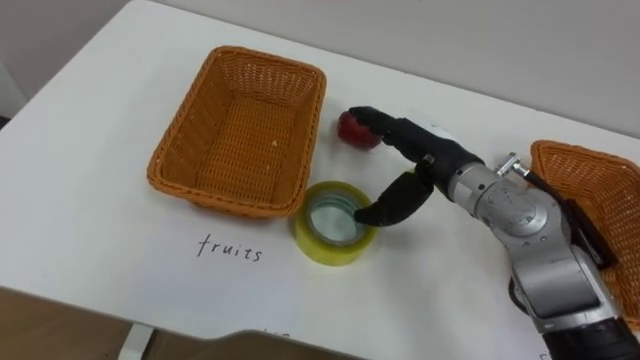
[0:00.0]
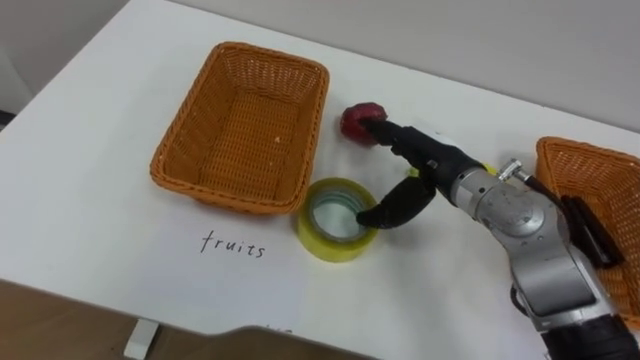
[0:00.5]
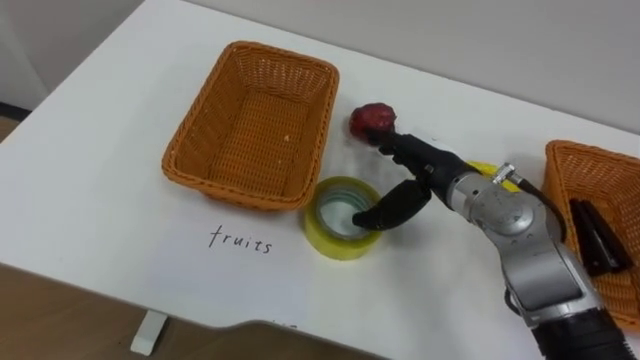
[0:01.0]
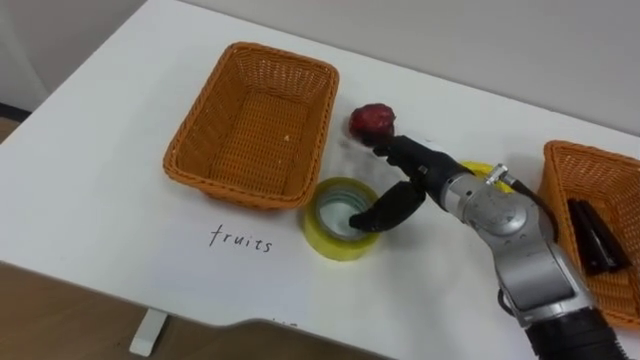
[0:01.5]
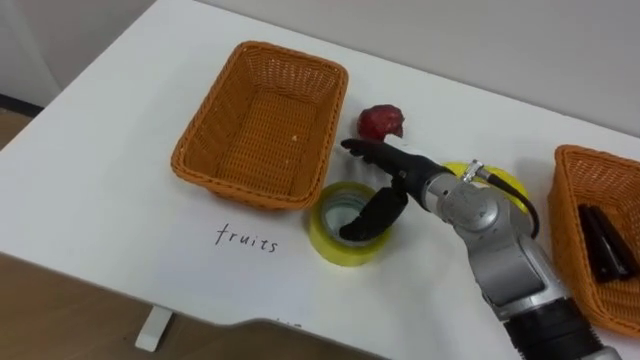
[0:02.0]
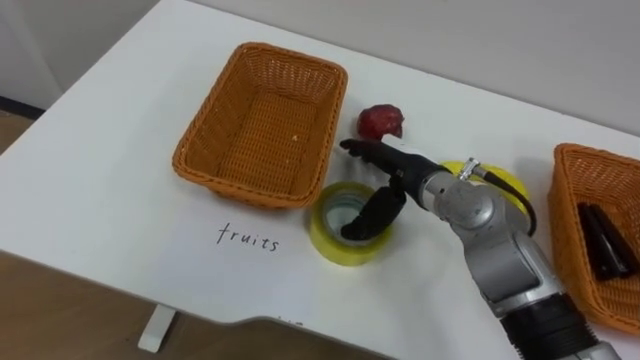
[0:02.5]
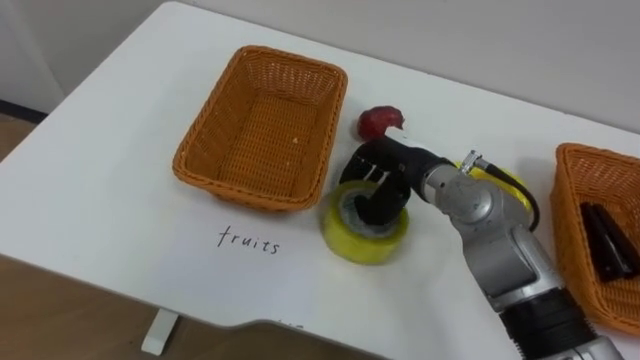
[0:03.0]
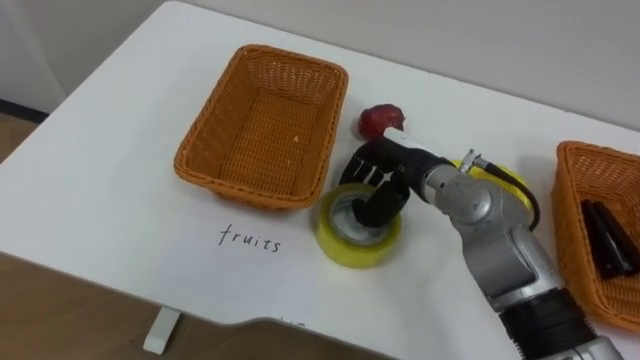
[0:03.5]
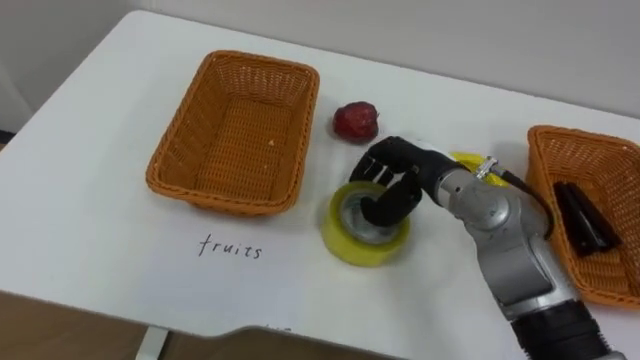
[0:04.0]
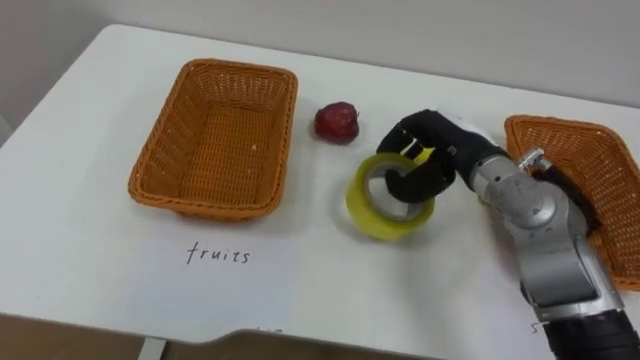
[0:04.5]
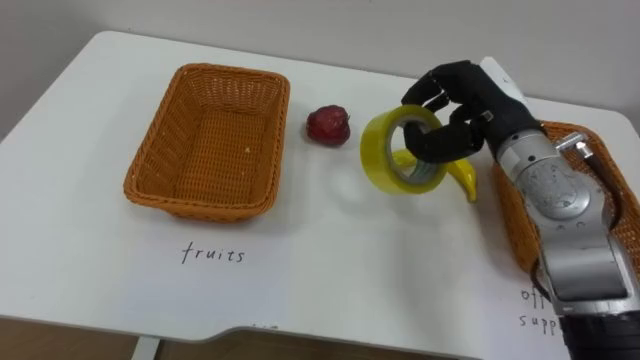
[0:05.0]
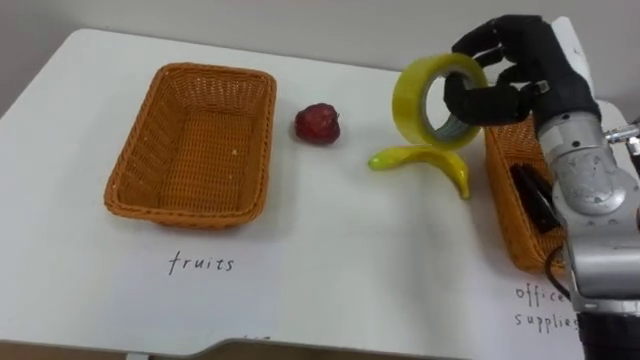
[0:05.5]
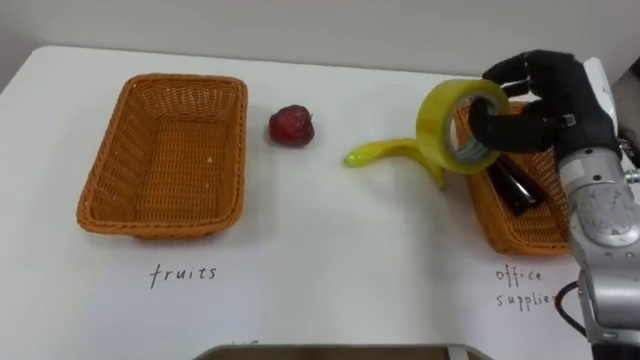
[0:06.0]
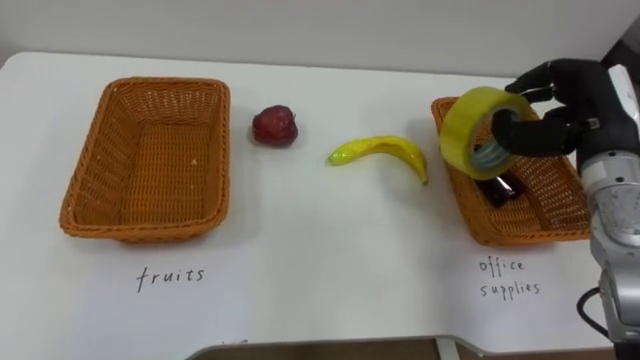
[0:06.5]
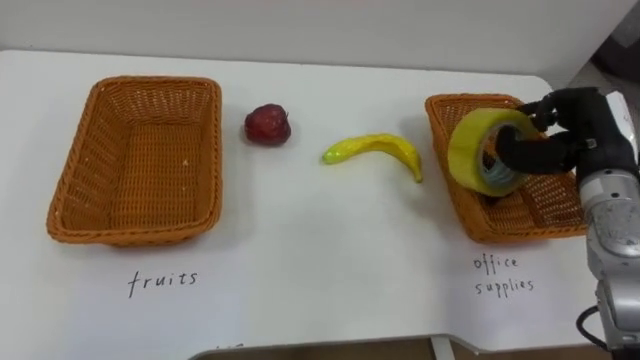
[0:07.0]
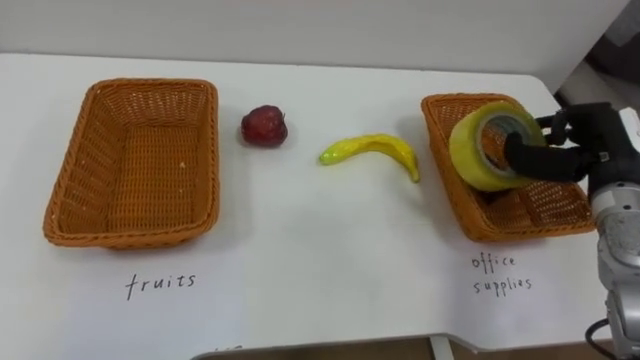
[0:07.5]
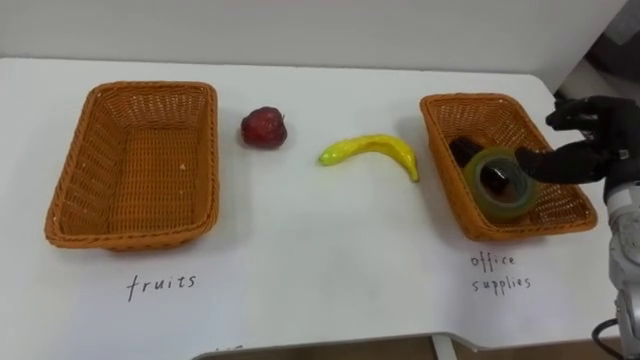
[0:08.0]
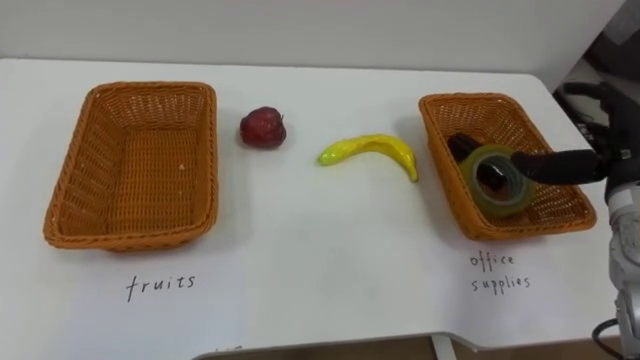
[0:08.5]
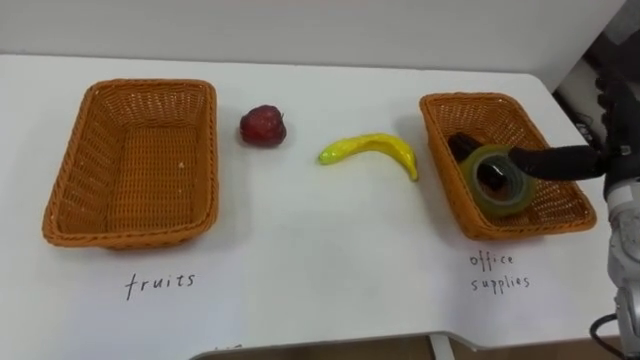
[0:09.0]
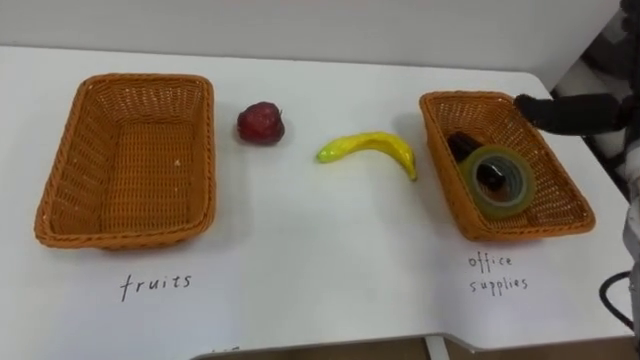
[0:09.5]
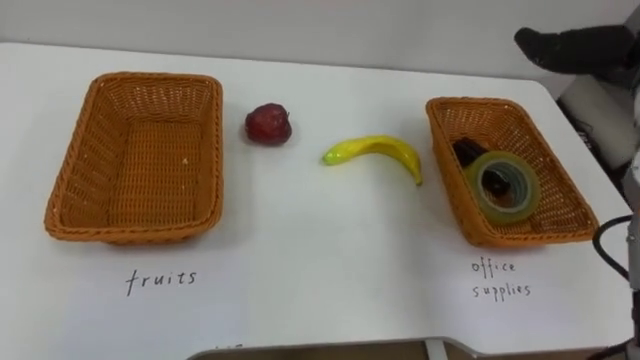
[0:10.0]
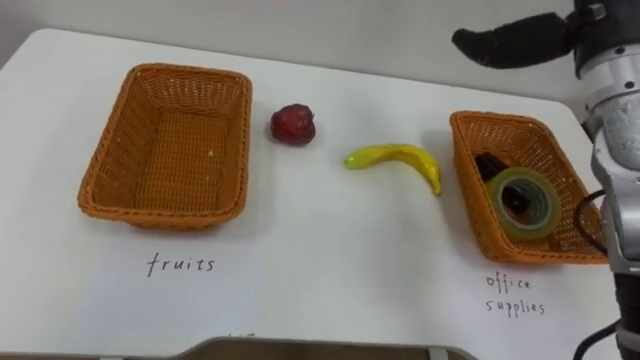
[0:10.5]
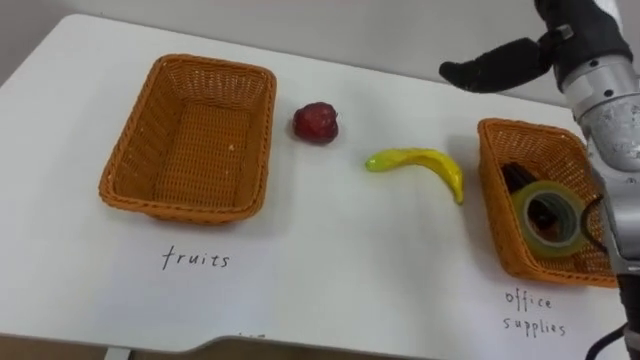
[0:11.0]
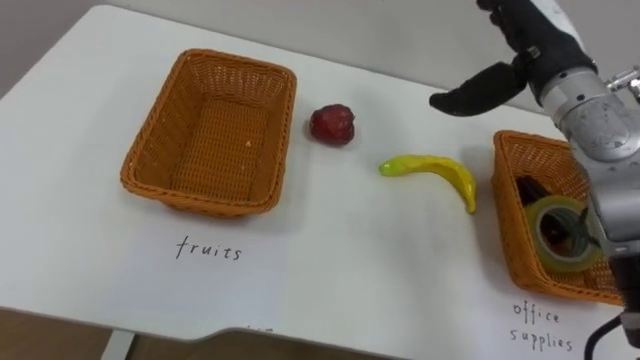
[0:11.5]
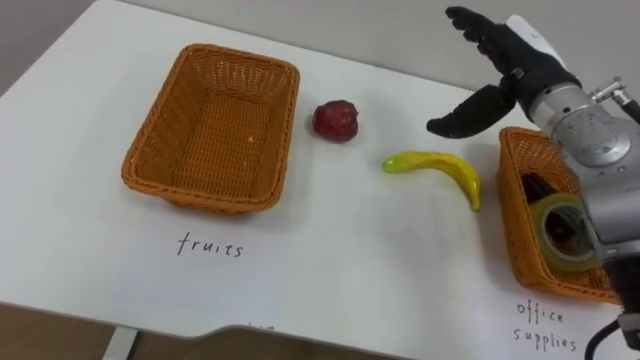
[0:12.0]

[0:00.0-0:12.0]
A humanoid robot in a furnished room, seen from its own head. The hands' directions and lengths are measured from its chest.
Task of the whole recording: Separate the items on the table and place them into the two baskets.
0:02.0 to 0:04.0: The right hand closes up.
0:04.0 to 0:06.0: The right hand shifts approximately 15 cm to the right and upward.
0:06.0 to 0:08.0: The right hand shifts about 5 cm to the right.

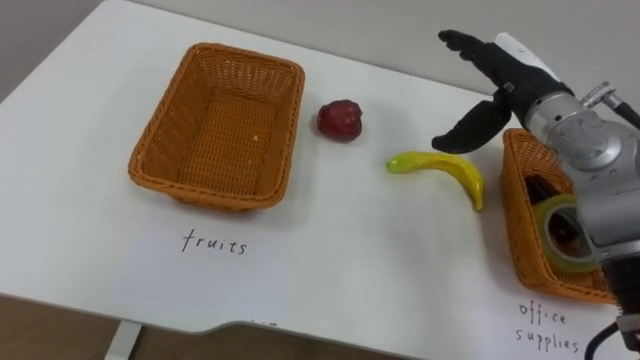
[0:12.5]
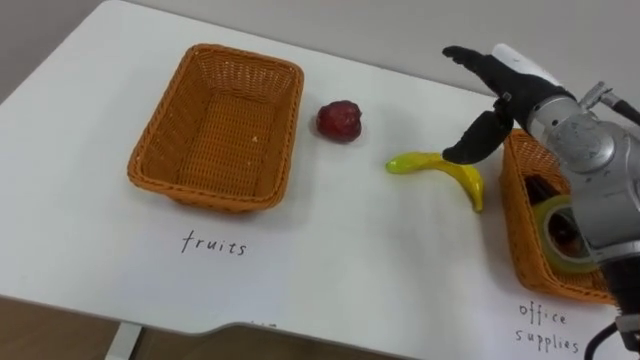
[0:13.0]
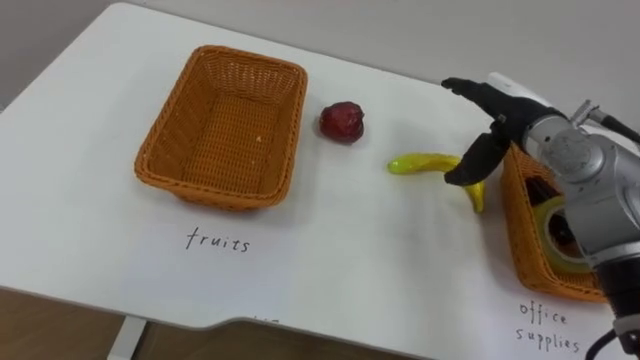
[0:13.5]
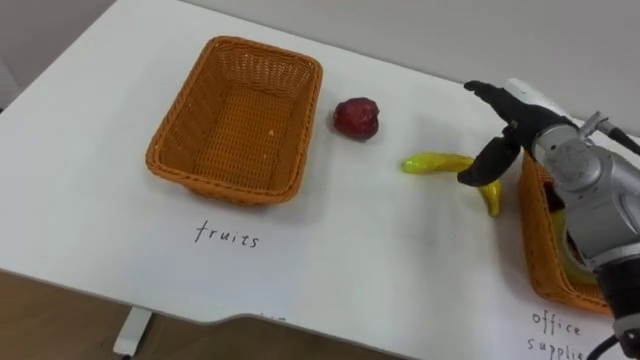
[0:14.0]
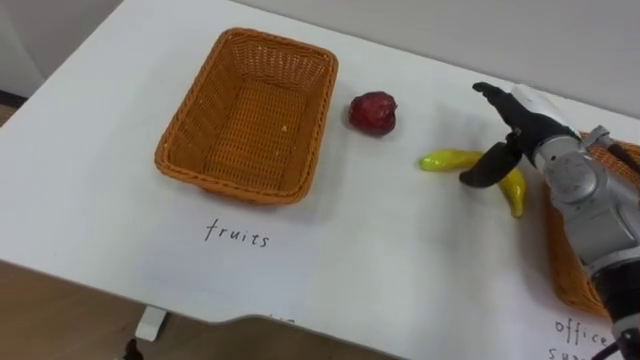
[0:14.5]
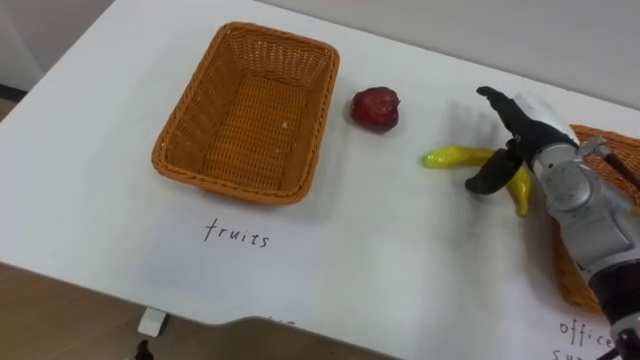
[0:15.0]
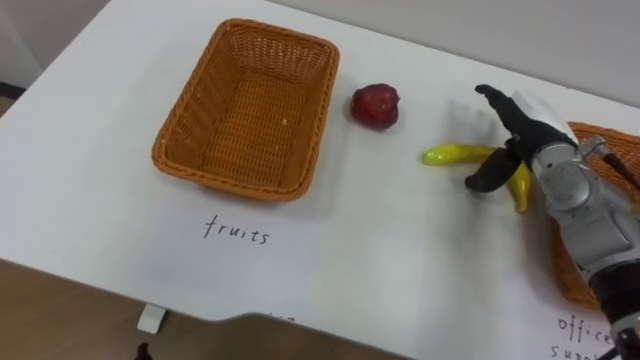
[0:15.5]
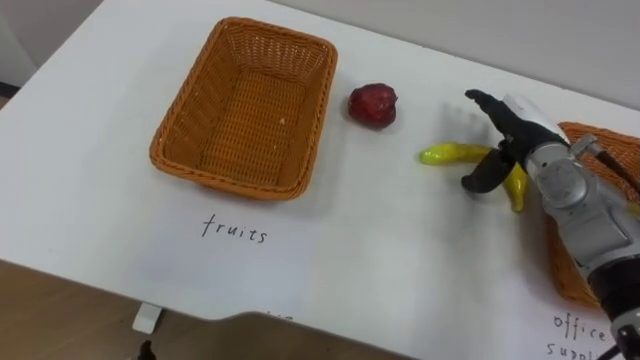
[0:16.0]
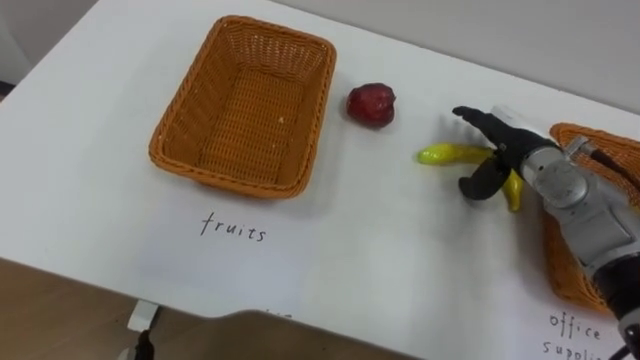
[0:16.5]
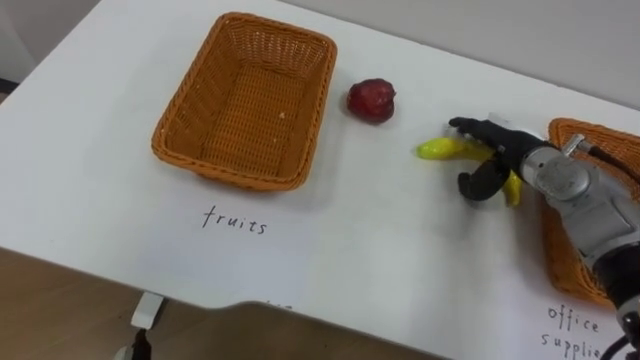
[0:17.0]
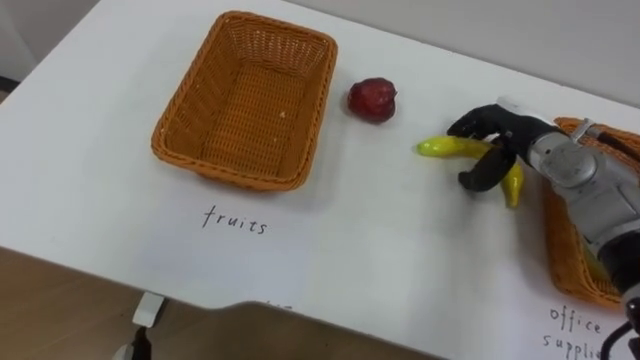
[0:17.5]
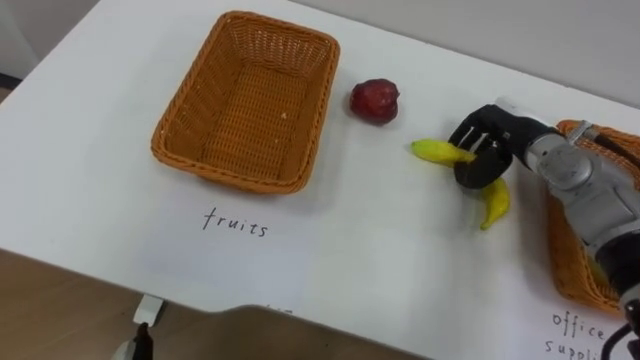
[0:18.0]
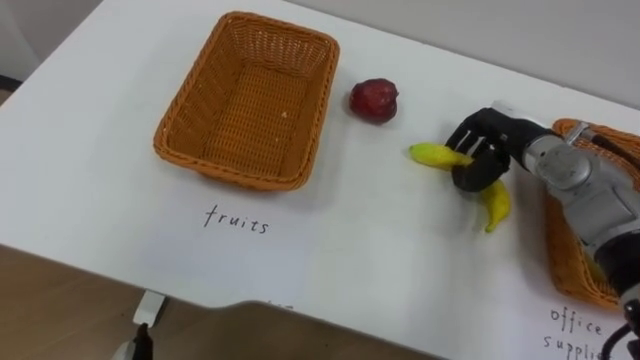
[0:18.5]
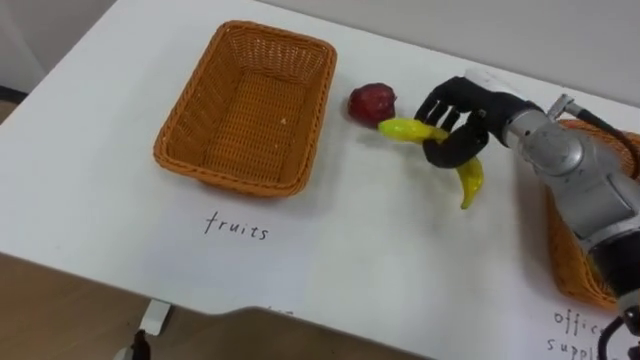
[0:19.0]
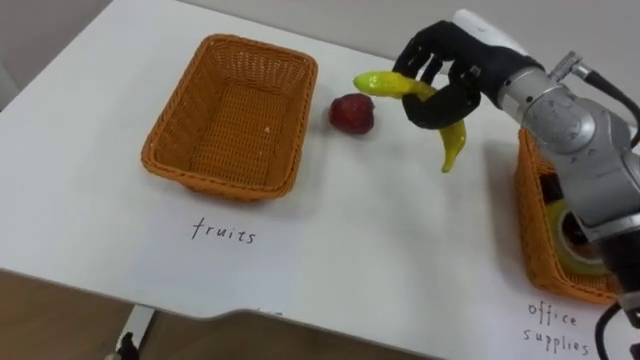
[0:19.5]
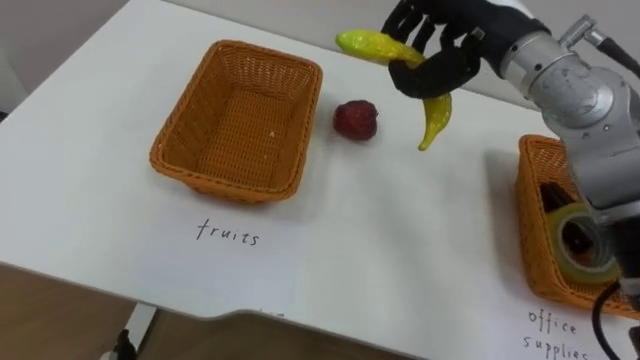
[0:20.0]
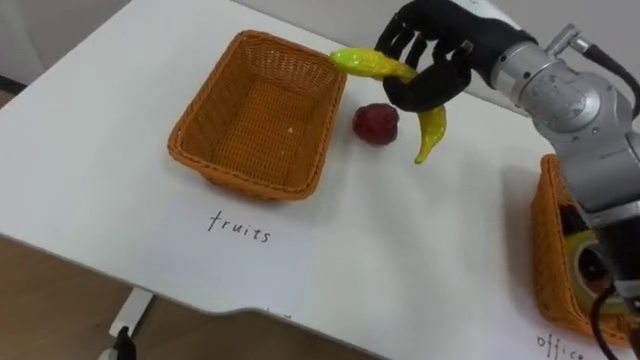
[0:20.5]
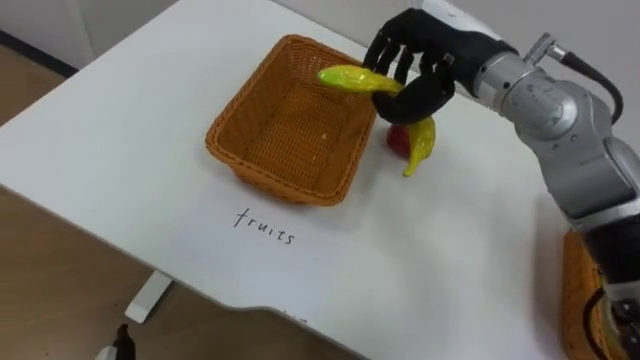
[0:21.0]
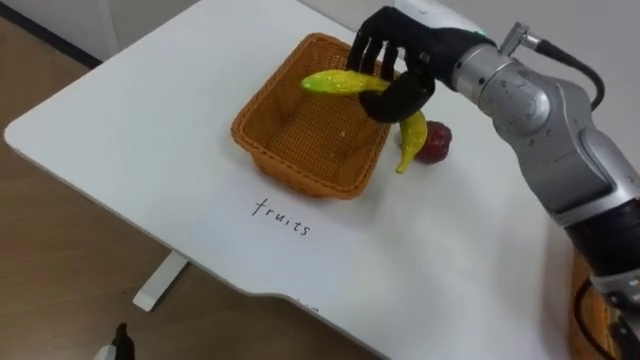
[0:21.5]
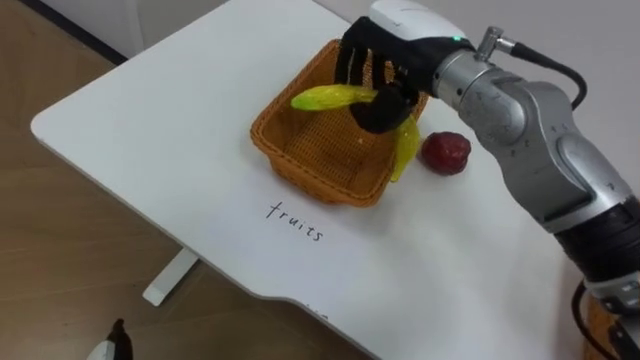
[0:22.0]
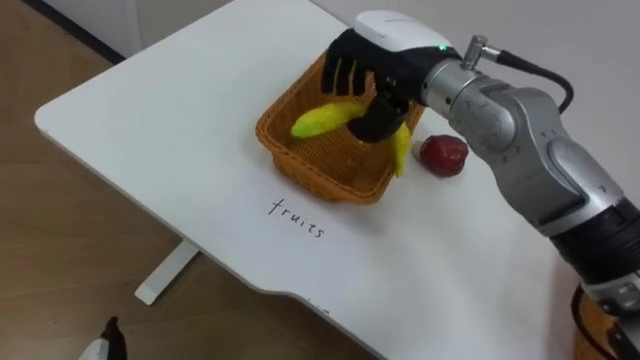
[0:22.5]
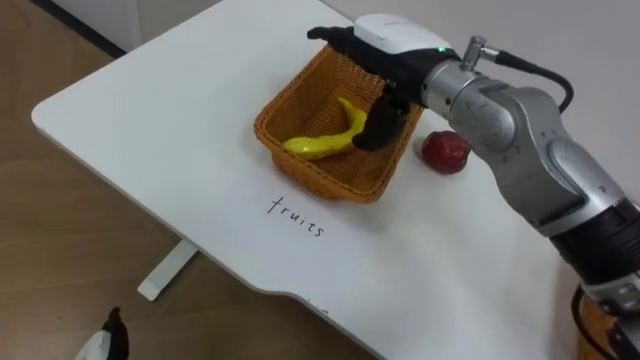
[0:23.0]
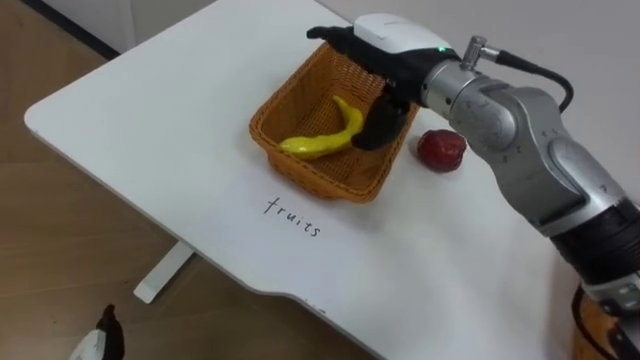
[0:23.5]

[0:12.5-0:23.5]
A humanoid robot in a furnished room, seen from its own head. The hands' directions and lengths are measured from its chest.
Task of the whole recording: Separate the items on the table and place them into the two baskets.
0:12.5 to 0:14.5: The right hand travels downward by about 5 cm.
0:16.0 to 0:18.0: The right hand closes up.
0:18.0 to 0:20.0: The right hand moves upward and to the left, some 20 cm.
0:20.0 to 0:21.5: The right hand shifts by roughly 5 cm.
0:21.5 to 0:23.5: The right hand opens up.
